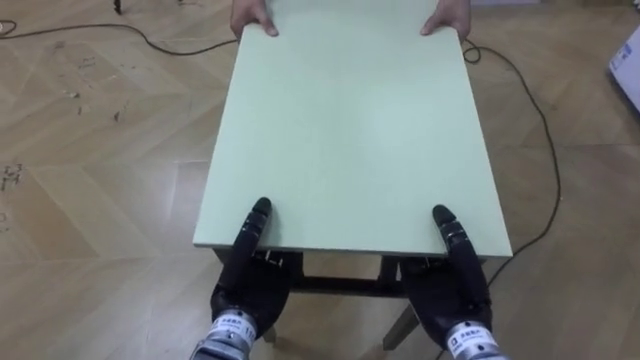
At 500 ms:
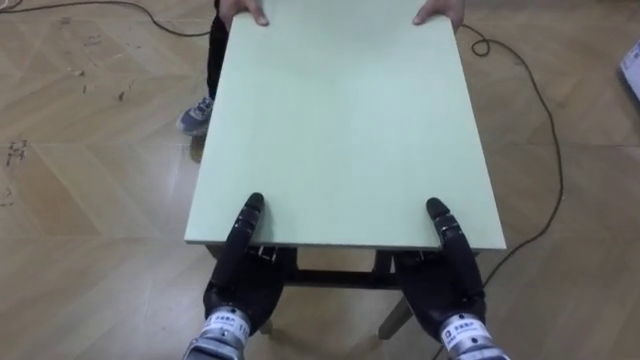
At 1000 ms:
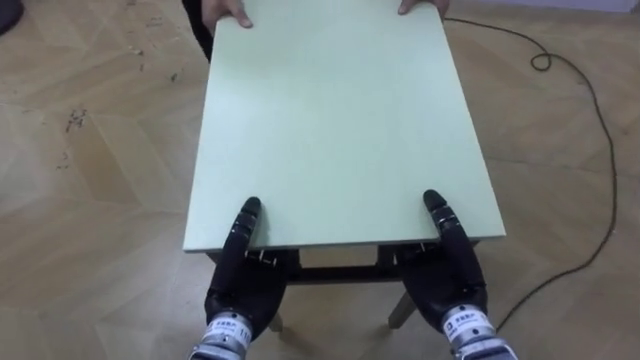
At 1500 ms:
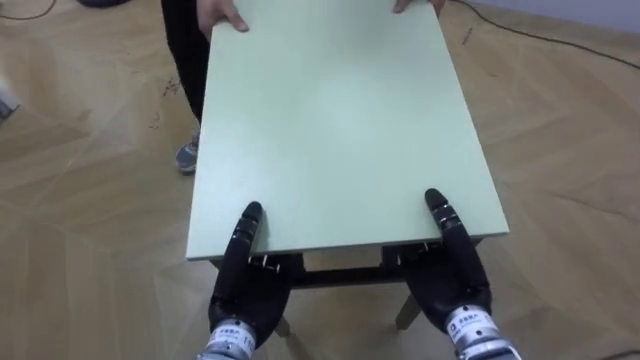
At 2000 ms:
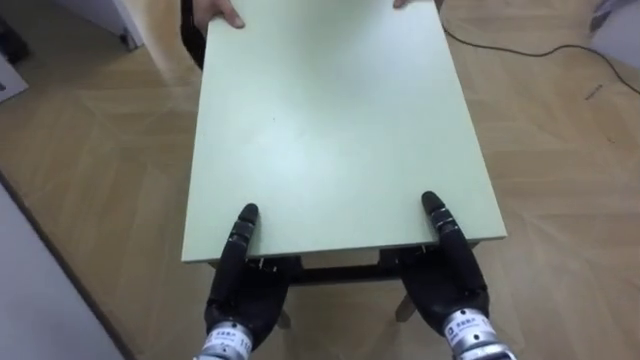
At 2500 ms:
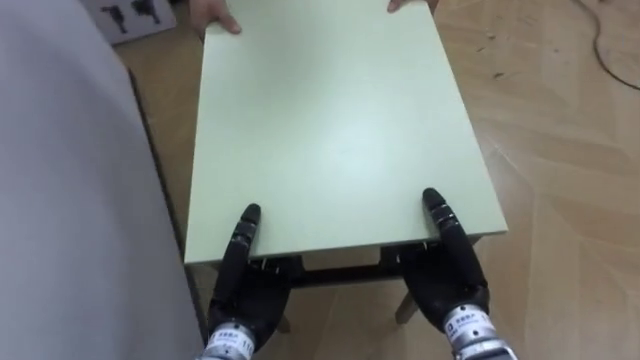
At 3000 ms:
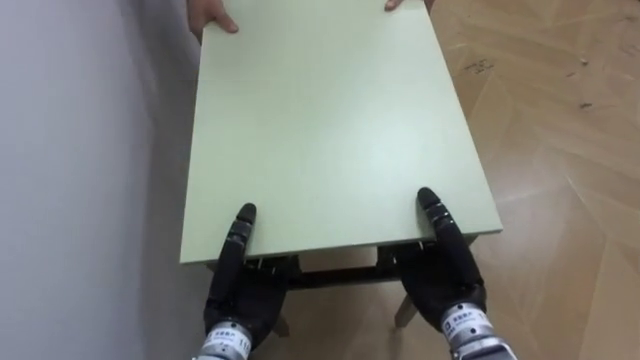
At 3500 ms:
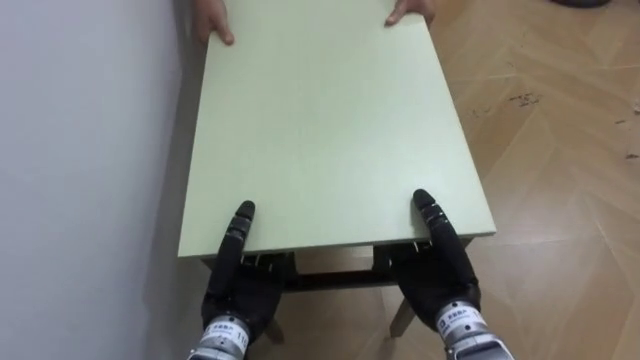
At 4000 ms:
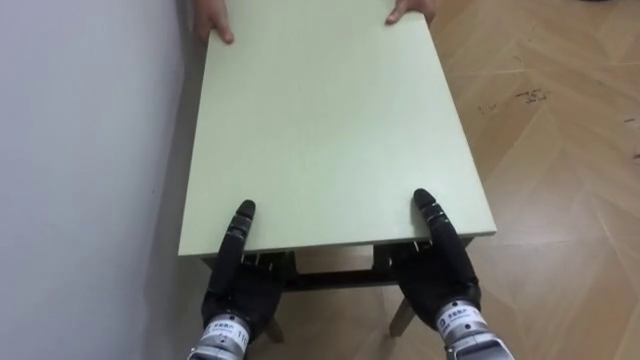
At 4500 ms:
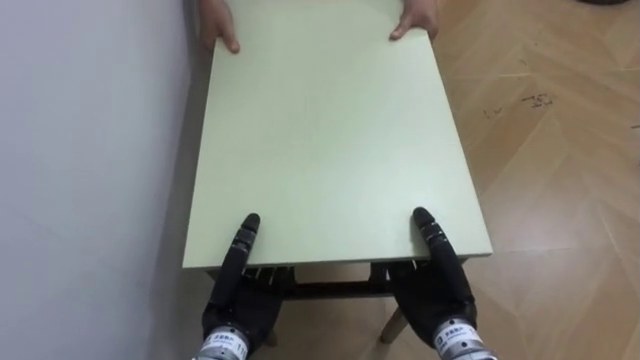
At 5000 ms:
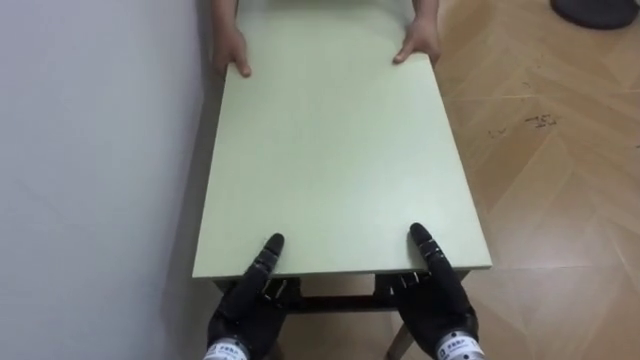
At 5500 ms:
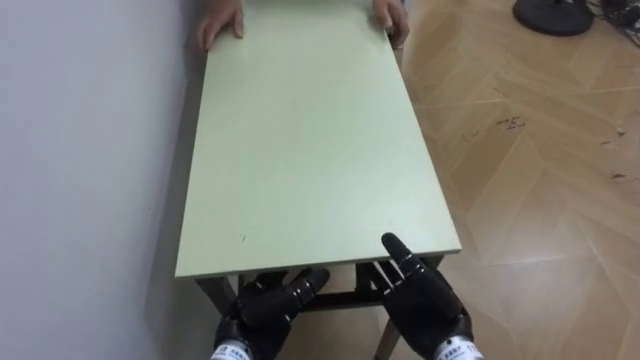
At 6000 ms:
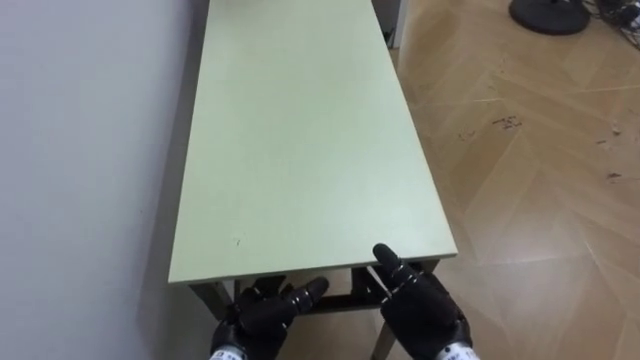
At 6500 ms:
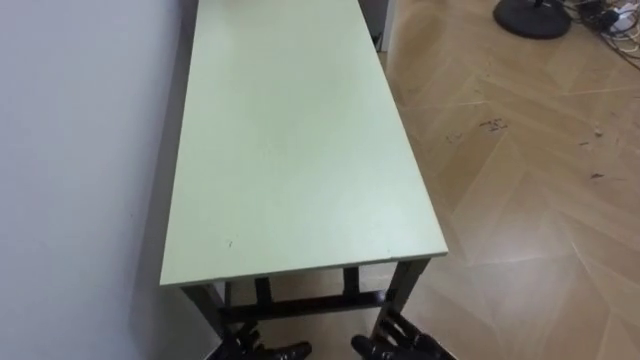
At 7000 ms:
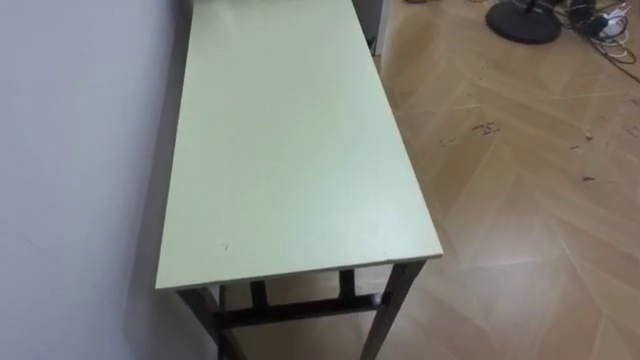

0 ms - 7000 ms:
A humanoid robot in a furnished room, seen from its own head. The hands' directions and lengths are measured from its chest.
Task of the whole recording: Move the table to the back left with someone.
0 ms - 2000 ms: The robot rotates roughly 40 degrees to its left.
2000 ms - 3500 ms: The robot's body swings some 45 degrees to its left.
3500 ms - 5000 ms: The right hand ends up approximately 5 cm from where it was.

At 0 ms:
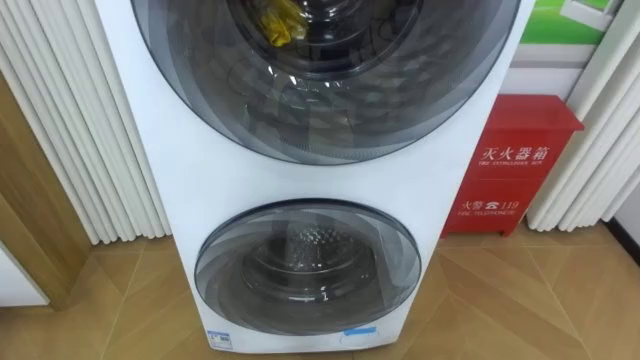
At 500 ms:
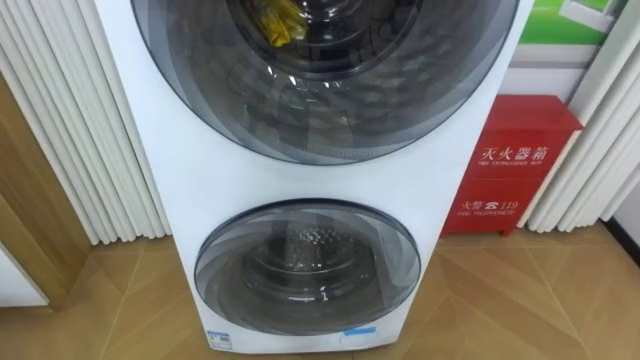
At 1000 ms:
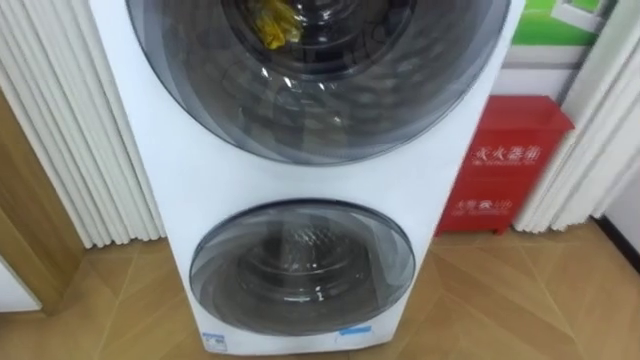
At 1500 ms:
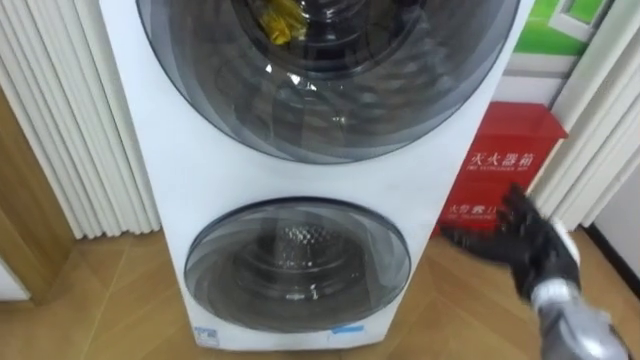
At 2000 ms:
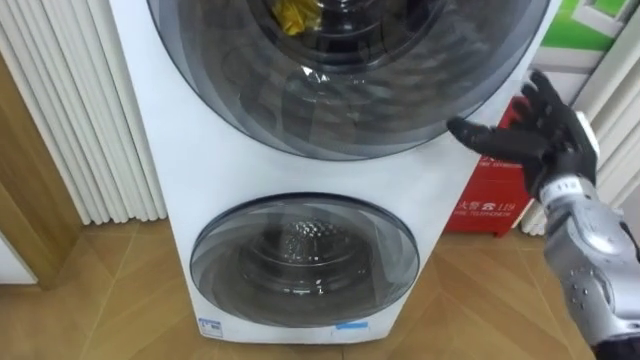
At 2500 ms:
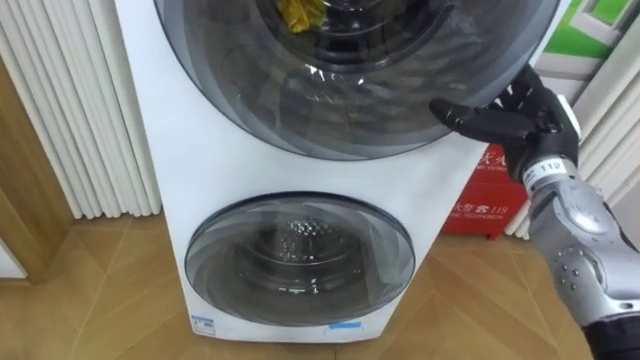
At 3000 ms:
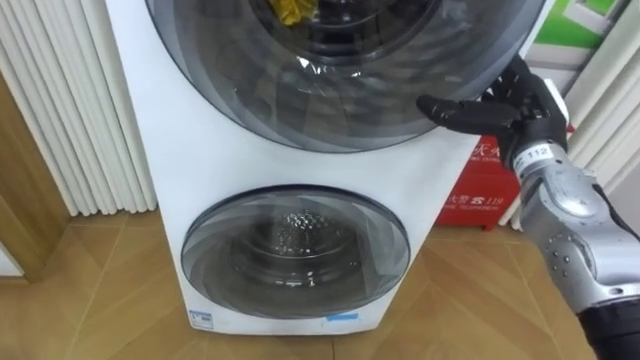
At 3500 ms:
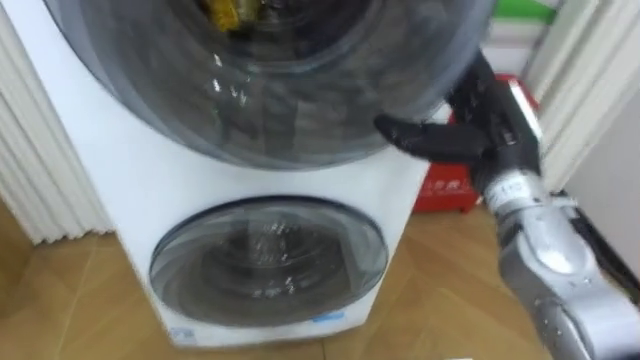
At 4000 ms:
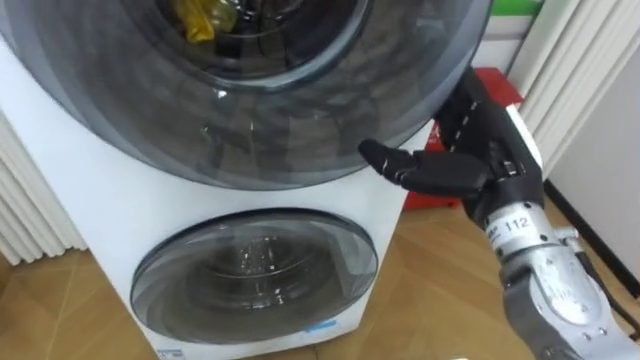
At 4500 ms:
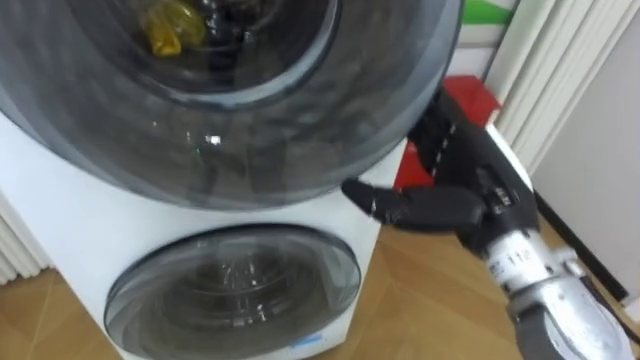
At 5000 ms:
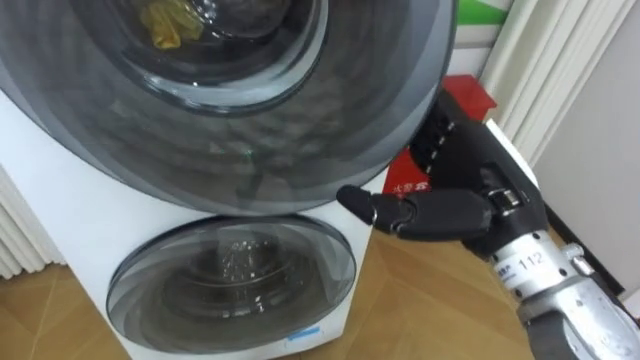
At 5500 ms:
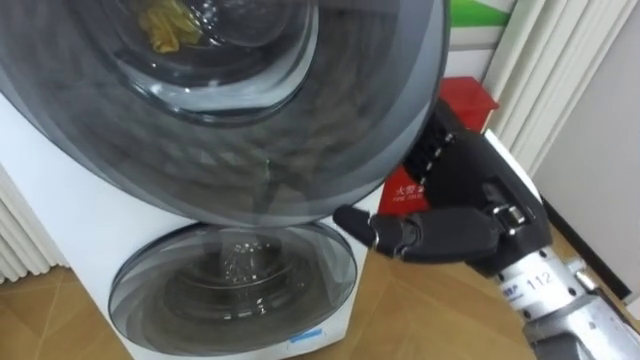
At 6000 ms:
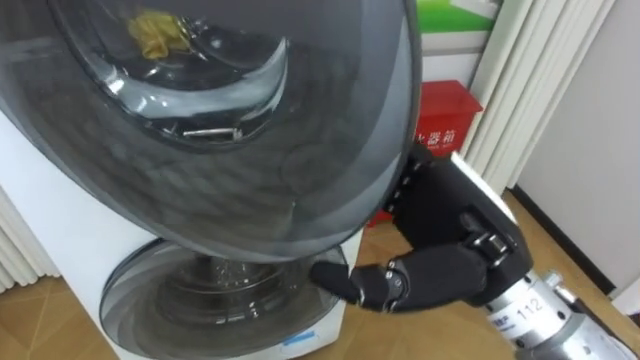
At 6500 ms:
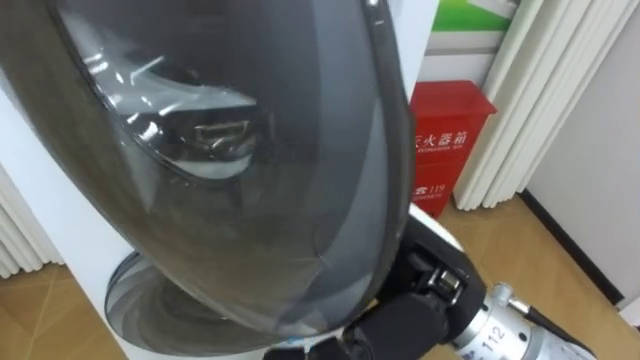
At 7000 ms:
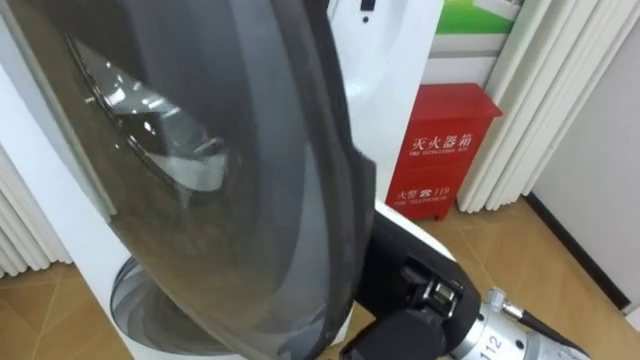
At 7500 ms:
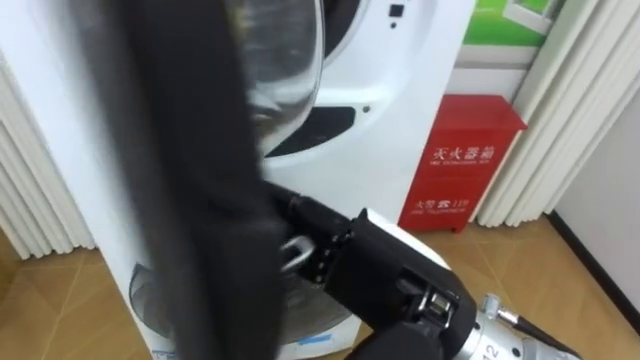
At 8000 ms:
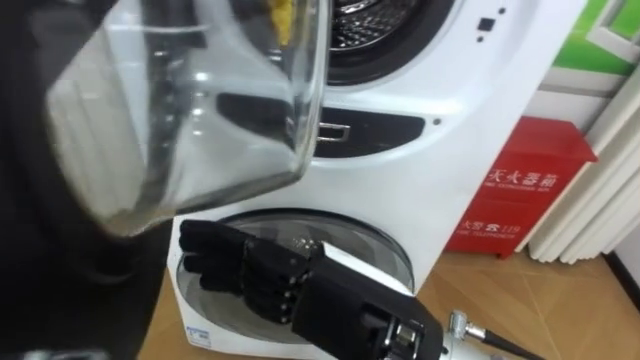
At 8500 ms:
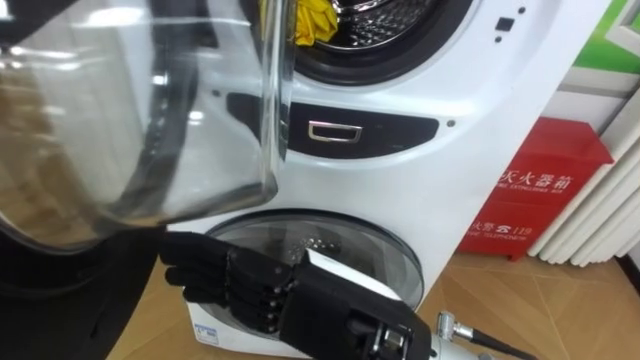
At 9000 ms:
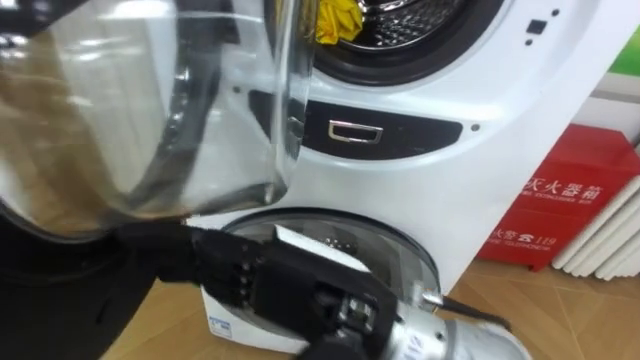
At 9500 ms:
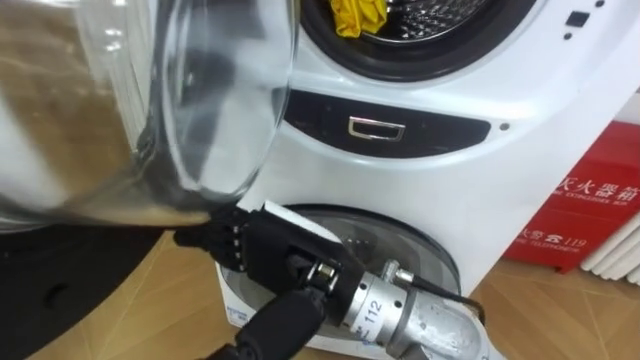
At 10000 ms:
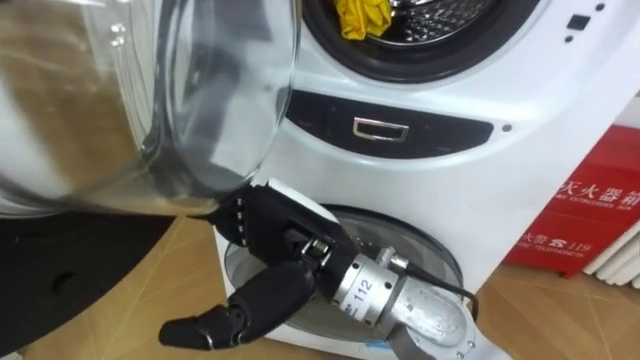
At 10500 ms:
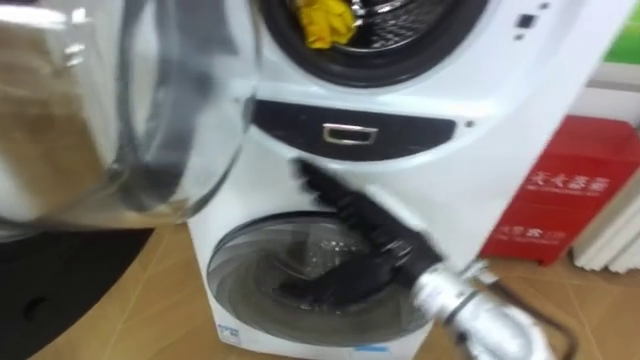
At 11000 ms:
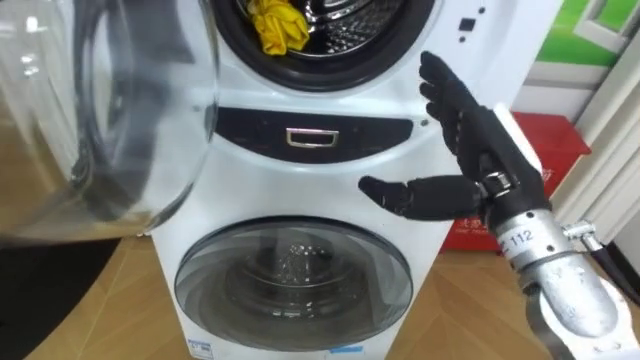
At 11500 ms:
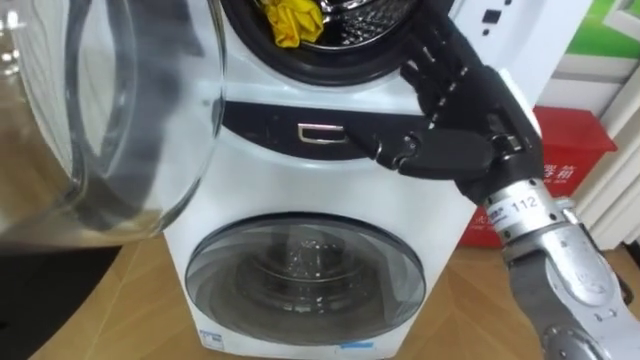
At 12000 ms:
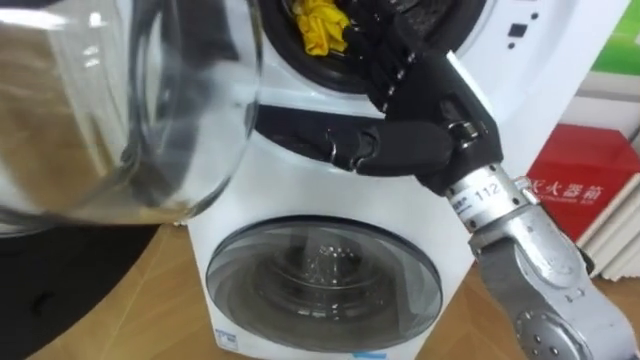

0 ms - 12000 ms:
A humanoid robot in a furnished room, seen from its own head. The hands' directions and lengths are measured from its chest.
Task of the whole recording: Open the washing machine door, take out the yellow clothes, place them in the box on the right, and close the washing machine door.
2000 ms - 4000 ms: The right hand moves to the left, backward and upward, some 15 cm.
4000 ms - 6000 ms: The right hand goes roughly 5 cm backward.
6000 ms - 8000 ms: The right hand shifts roughly 10 cm to the left and backward.
8000 ms - 10000 ms: The right hand shifts some 10 cm forward and to the left.
10000 ms - 12000 ms: The right hand shifts roughly 15 cm to the right, upward and forward.

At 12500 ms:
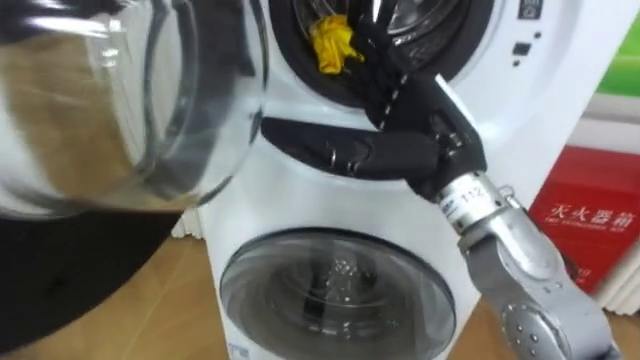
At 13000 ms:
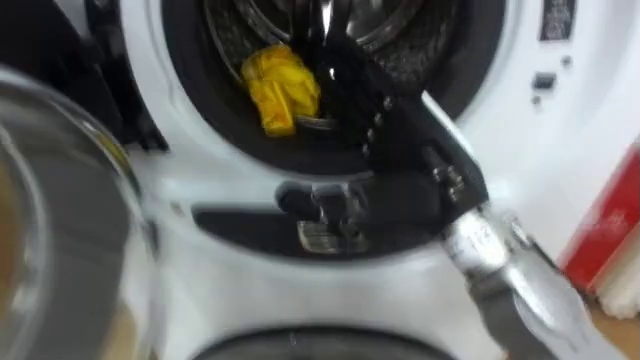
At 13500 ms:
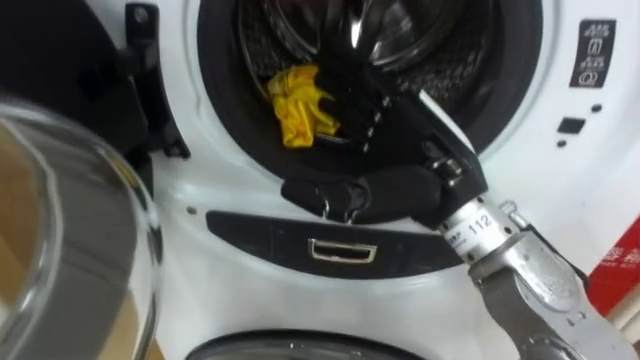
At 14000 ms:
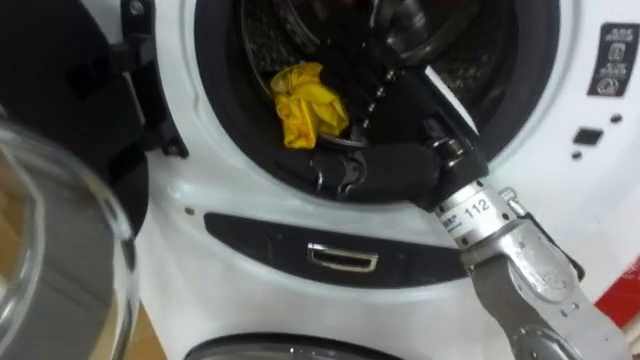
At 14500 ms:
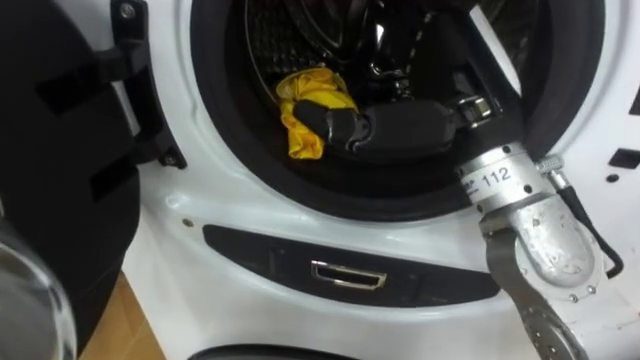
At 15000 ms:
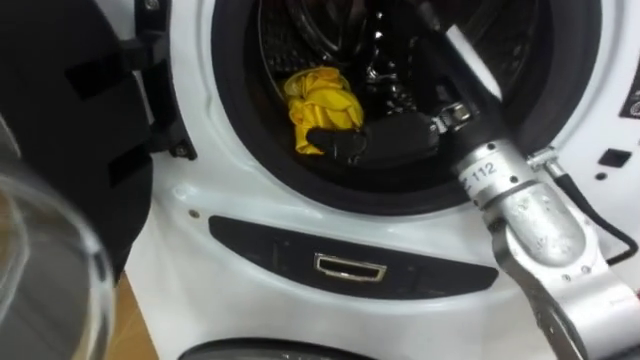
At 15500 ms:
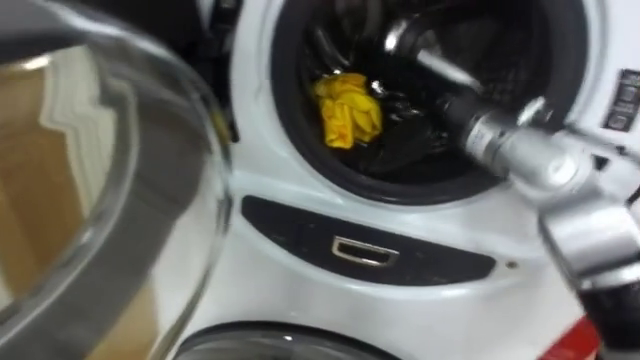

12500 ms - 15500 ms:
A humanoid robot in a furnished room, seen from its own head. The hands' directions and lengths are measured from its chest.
Task of the whole recording: Open the washing machine door, take out the yellow clothes, place them in the box on the right, and close the washing machine door.
14000 ms - 15500 ms: The right hand heads forward, covering roughly 10 cm.
